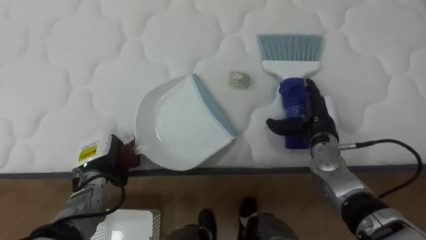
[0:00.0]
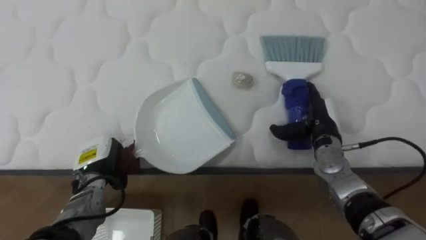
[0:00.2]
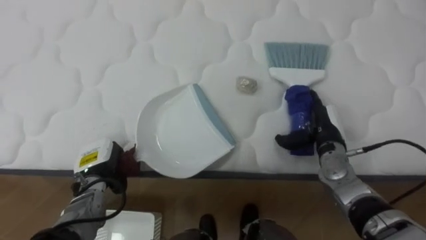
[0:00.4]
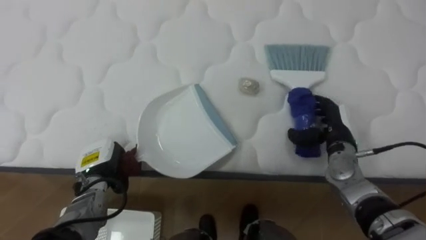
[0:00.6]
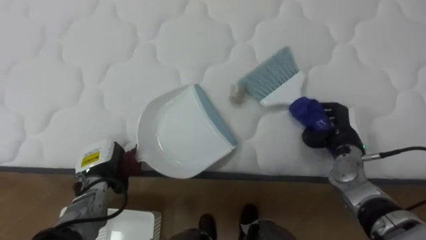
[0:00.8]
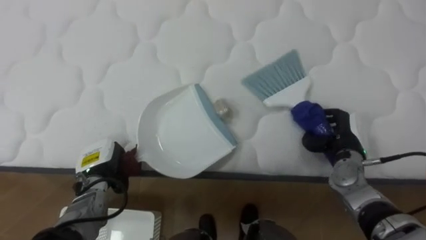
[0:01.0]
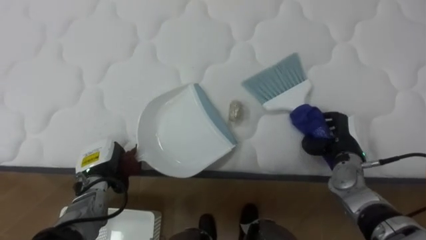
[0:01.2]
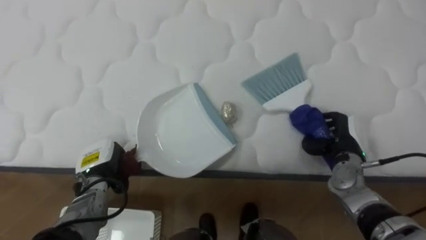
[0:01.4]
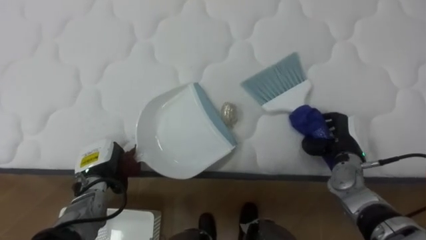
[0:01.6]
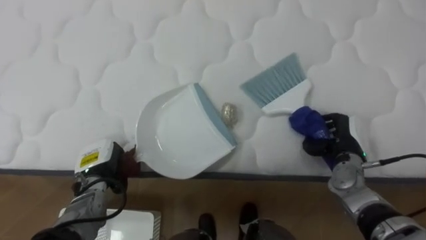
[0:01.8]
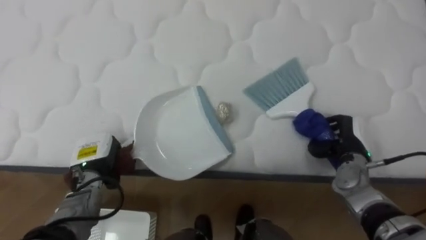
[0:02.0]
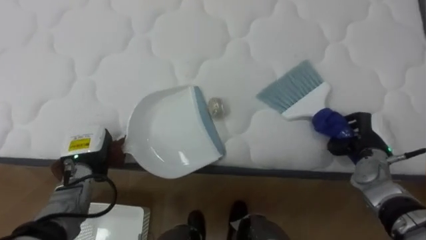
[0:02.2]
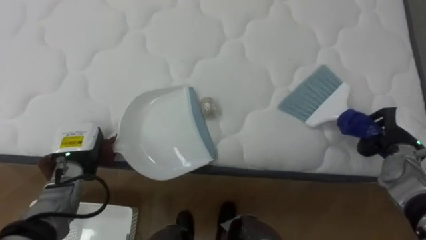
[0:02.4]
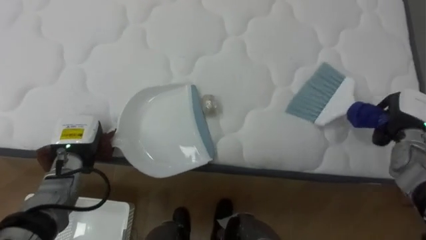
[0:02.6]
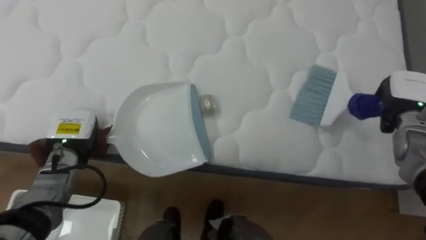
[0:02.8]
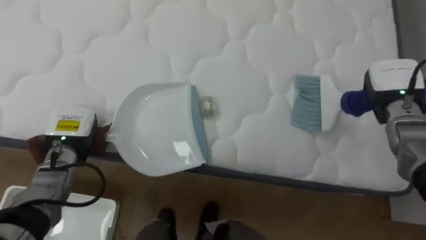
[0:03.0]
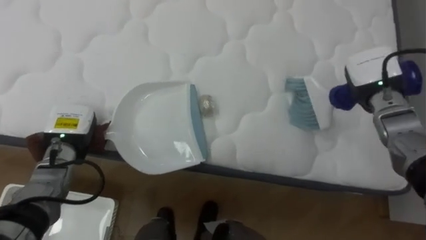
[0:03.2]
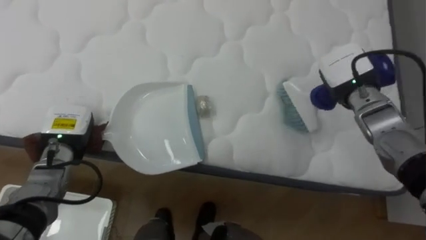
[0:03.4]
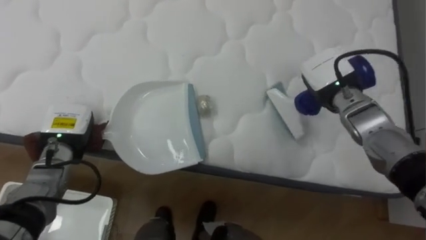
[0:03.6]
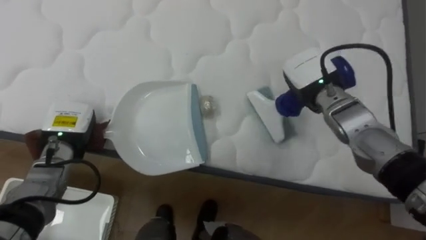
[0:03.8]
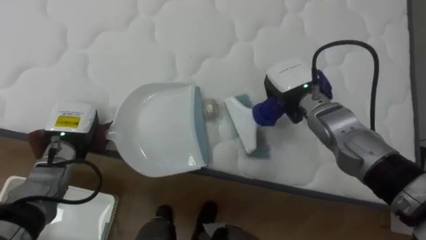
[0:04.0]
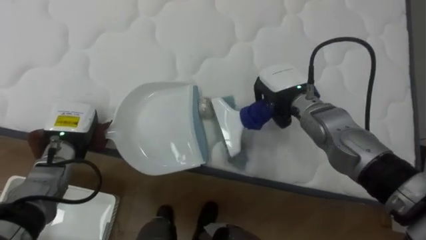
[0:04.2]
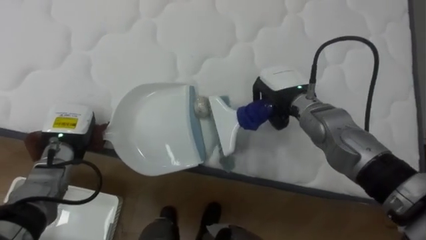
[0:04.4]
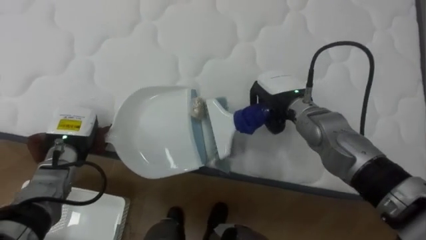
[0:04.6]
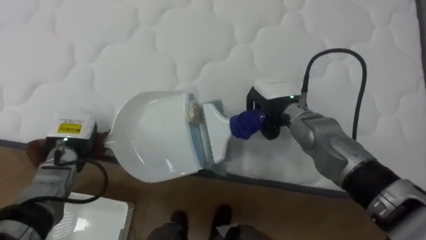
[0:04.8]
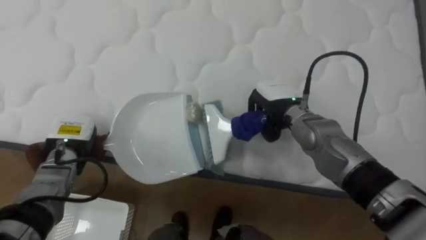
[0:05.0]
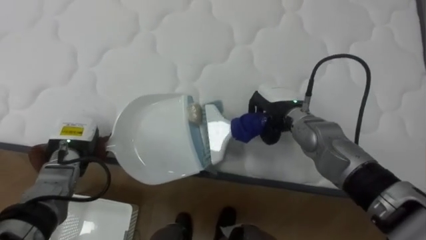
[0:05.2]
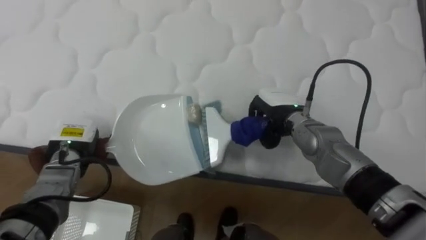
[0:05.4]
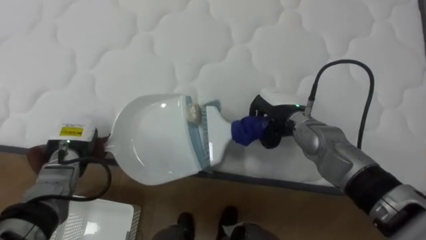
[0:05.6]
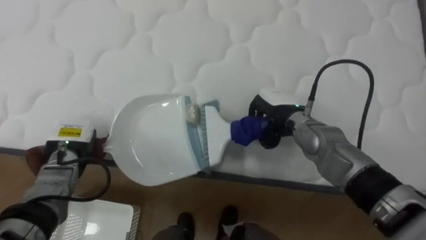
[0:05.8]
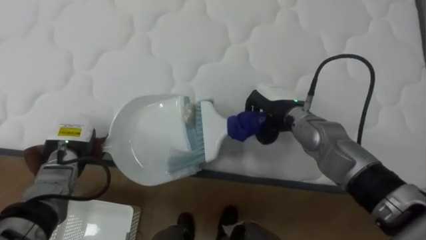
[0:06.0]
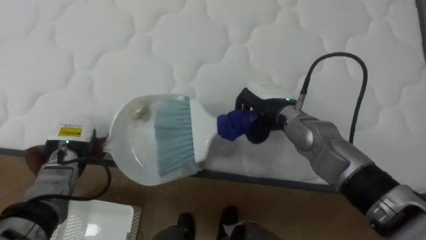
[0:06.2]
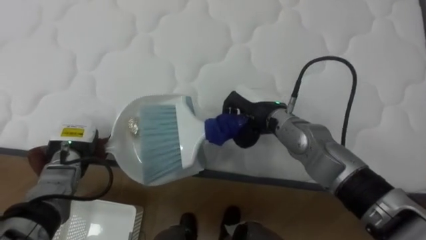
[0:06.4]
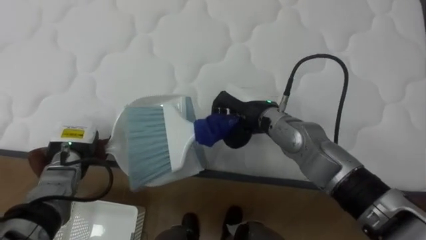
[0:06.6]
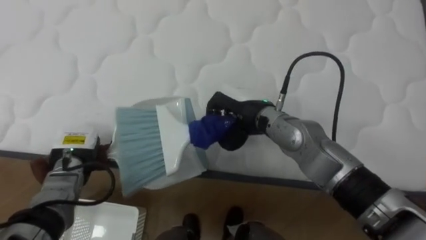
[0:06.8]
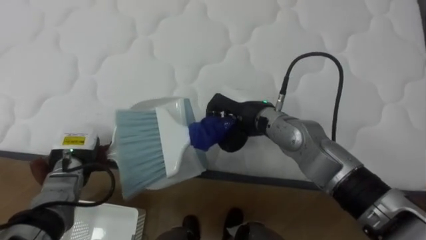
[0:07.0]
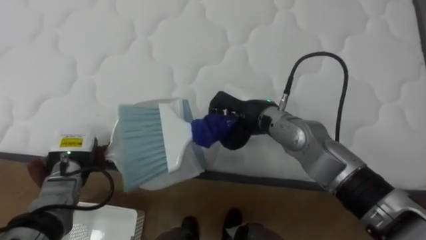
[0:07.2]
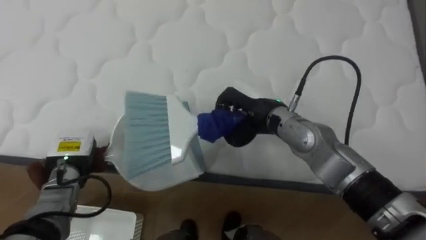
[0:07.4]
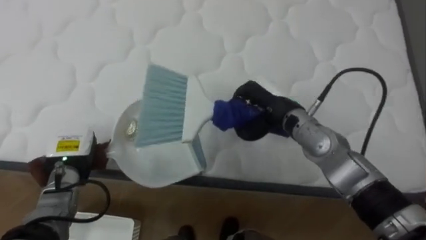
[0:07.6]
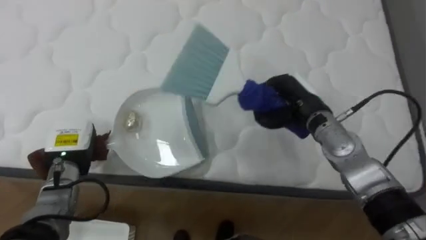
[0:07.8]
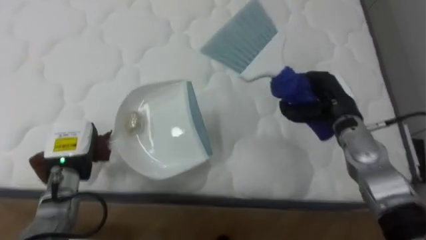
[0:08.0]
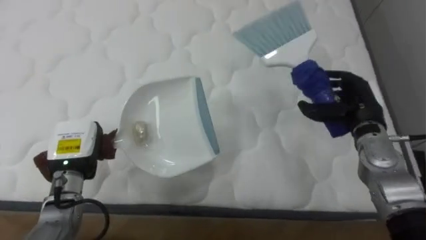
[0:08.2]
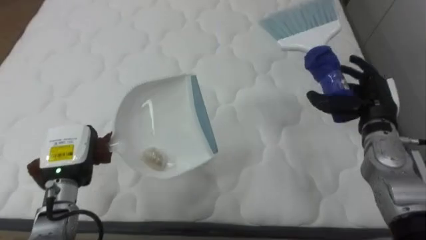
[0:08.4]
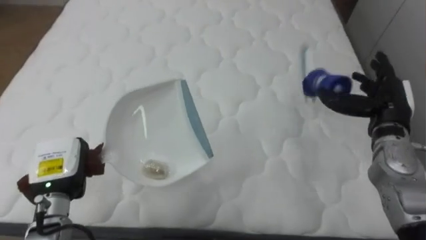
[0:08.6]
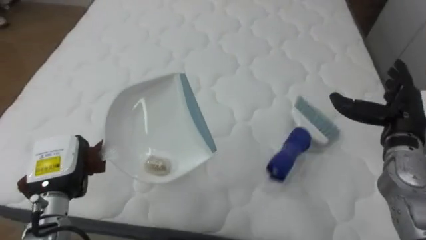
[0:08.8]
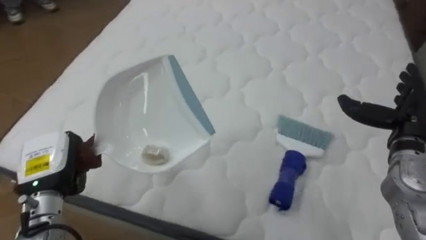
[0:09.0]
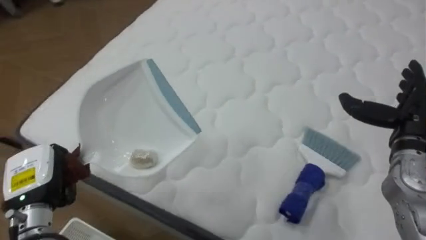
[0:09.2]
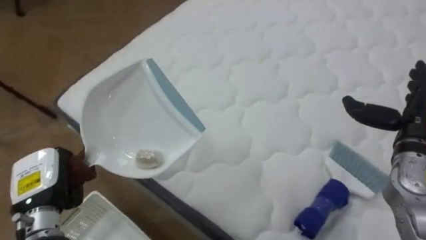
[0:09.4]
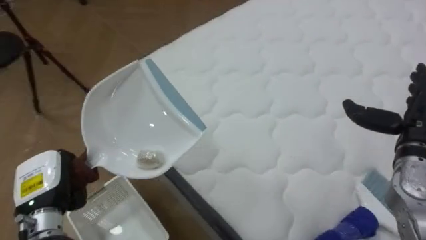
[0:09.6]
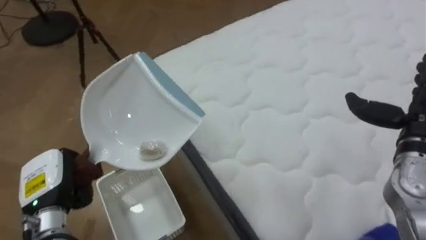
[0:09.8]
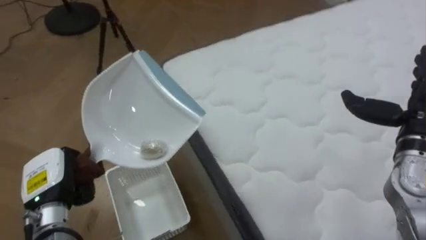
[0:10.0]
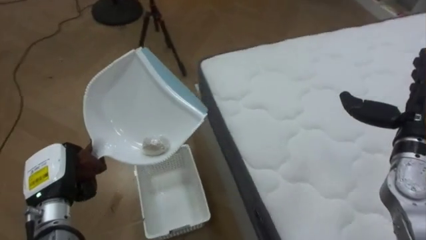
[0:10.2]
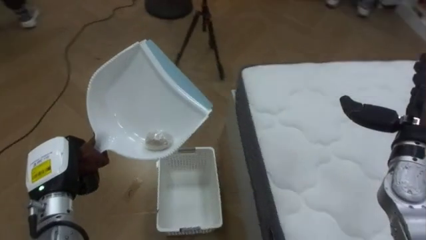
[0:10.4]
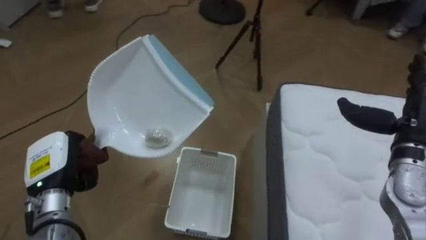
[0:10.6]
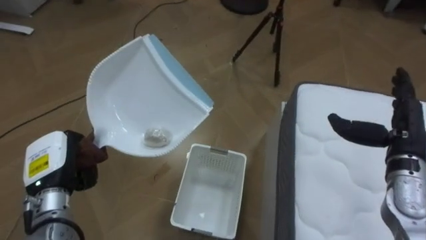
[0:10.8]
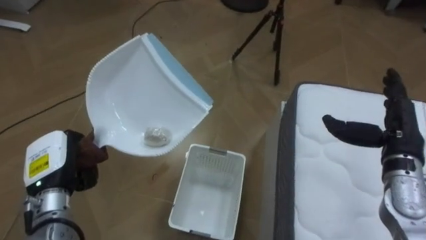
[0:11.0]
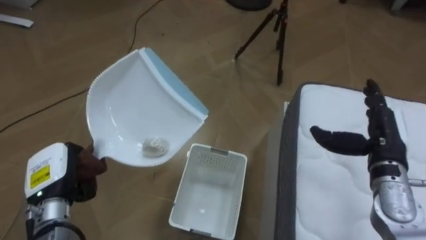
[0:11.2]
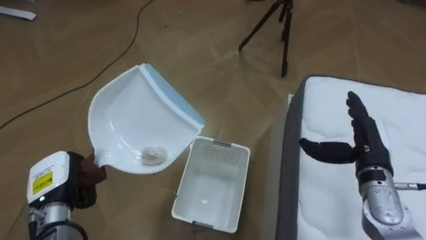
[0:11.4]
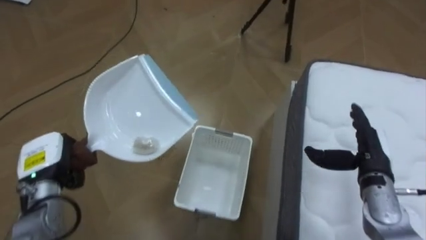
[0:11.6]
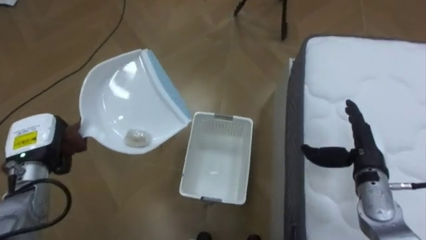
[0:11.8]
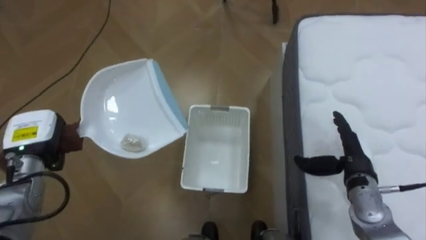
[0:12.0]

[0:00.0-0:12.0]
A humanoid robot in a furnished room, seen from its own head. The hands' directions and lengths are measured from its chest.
Task of the whole recording: Pick up the brush on your right and the dustpan on your left. Use the brush to sweep the crumpled paper on the bed into the dustpan, then turn left and empty it into the basket.
0:00.0 to 0:01.6: The right hand heads to the right, covering roughly 5 cm, and closes its fingers.
0:01.6 to 0:03.0: The left hand travels upward by approximately 5 cm; the right hand goes some 15 cm upward, to the right and forward.
0:03.0 to 0:04.4: The right hand shifts approximately 20 cm to the left.
0:07.6 to 0:09.0: The left hand heads backward and upward, covering approximately 10 cm. The right hand shifts some 25 cm to the right, and opens up.
0:09.0 to 0:10.4: The robot faces some 65 degrees further to its left.
0:10.4 to 0:12.0: The robot faces roughly 15 degrees further to its left. The left hand moves forward, roughly 5 cm; the right hand shifts roughly 15 cm downward and to the left.

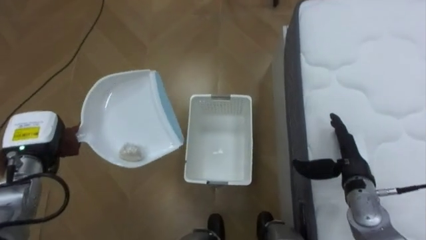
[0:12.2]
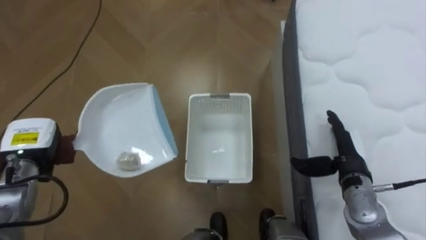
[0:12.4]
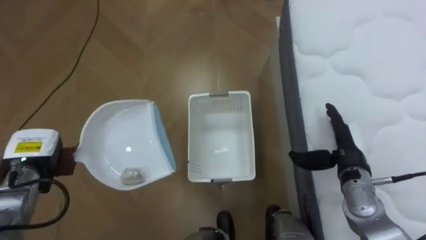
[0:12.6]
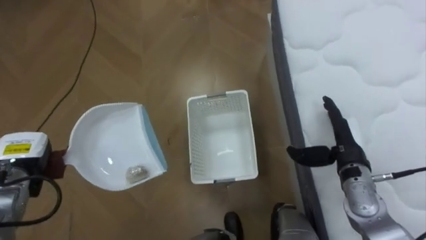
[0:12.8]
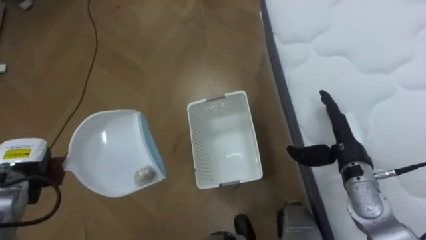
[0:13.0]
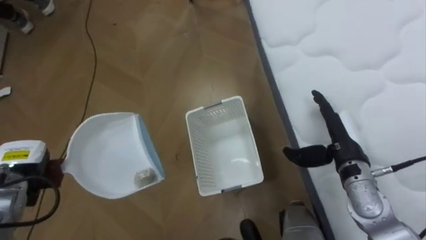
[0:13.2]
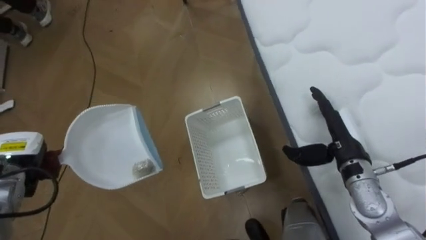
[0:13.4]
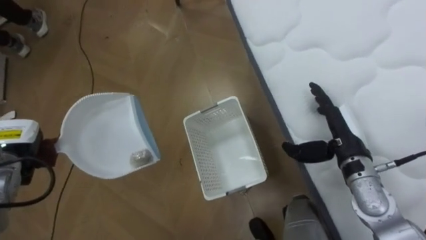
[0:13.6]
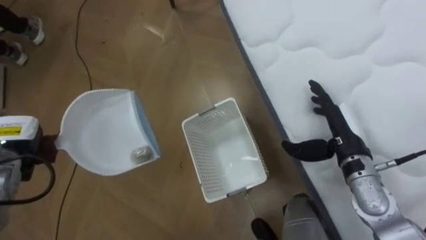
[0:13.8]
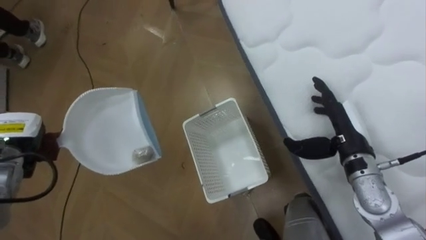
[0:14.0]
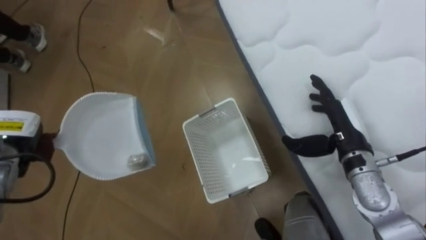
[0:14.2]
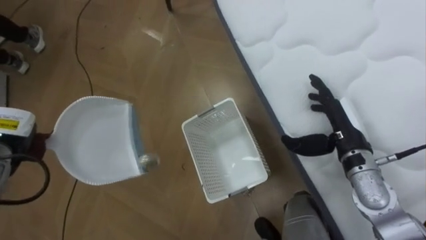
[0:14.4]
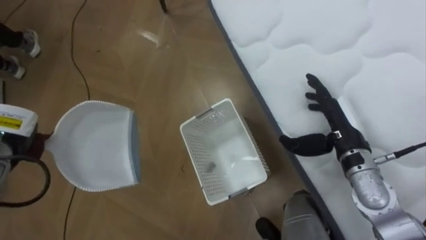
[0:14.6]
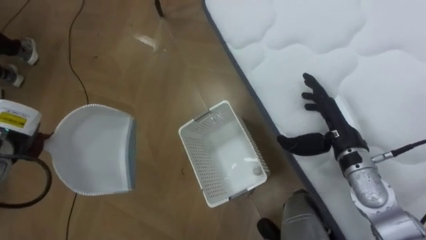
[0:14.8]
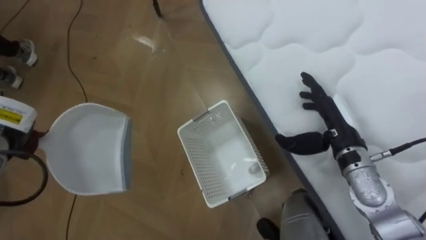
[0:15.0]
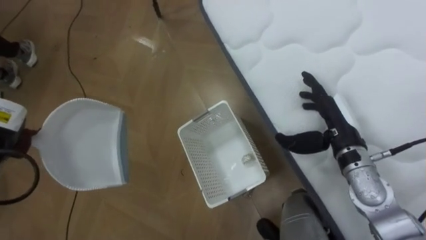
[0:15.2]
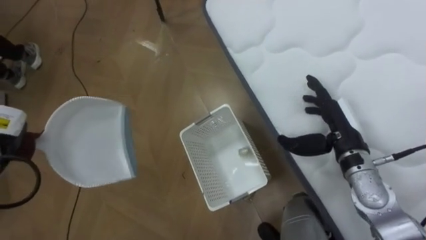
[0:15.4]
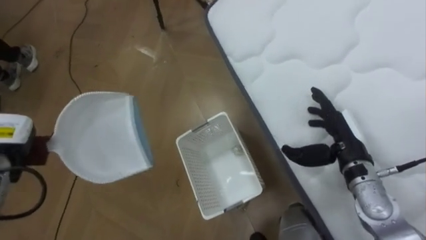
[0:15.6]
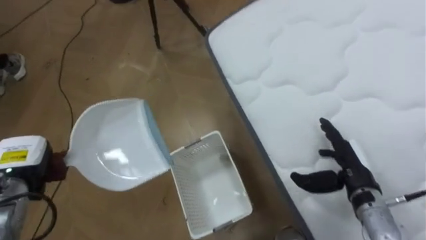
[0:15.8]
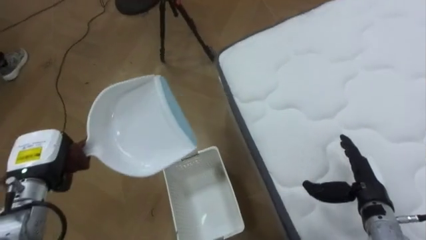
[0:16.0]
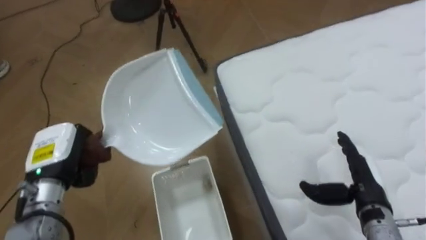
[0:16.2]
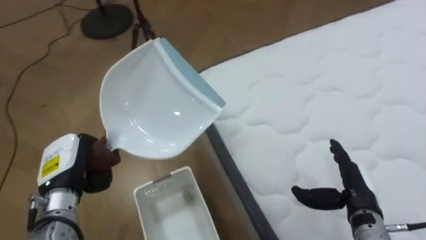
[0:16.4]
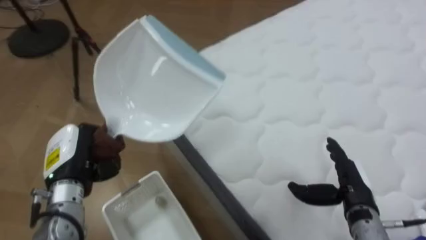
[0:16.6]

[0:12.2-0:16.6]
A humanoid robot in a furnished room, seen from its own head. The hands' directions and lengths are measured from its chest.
Task of the whole recording: Pick up the brush on your right and the dustpan on your left. Use the brush to sweep the crumpled paper on the bed into the dustpan, then turn left and empty it into the basket.
0:12.2 to 0:13.6: The right hand shifts by some 5 cm.
0:15.2 to 0:16.6: The right hand moves backward and downward, roughly 10 cm.
